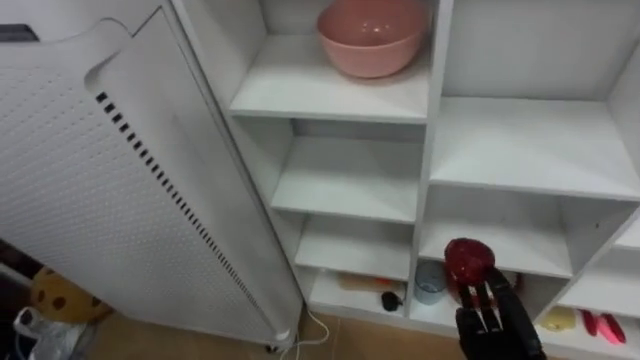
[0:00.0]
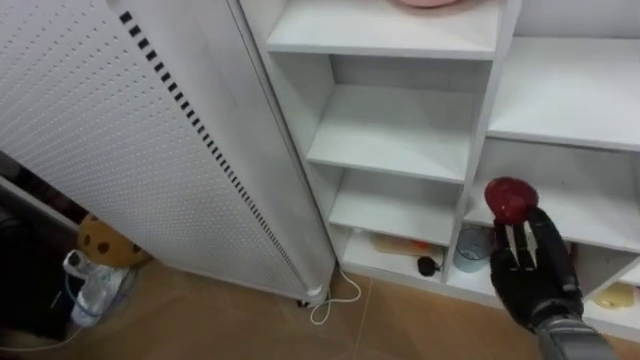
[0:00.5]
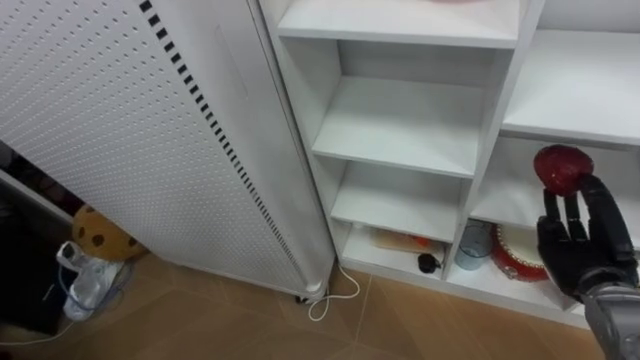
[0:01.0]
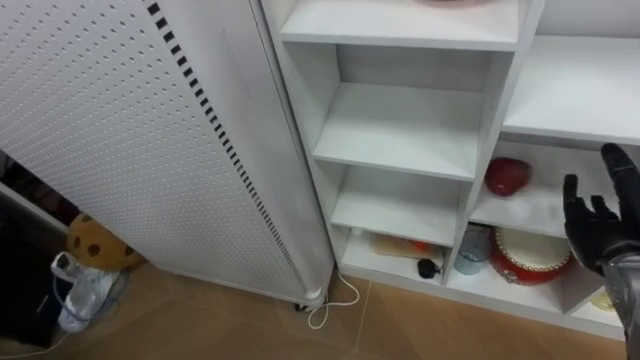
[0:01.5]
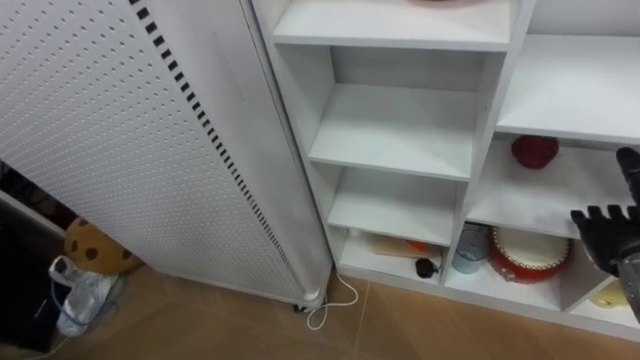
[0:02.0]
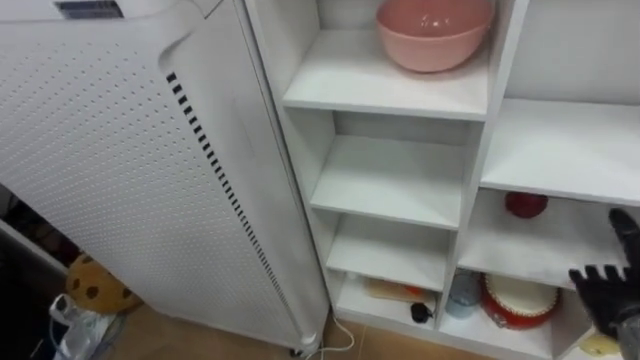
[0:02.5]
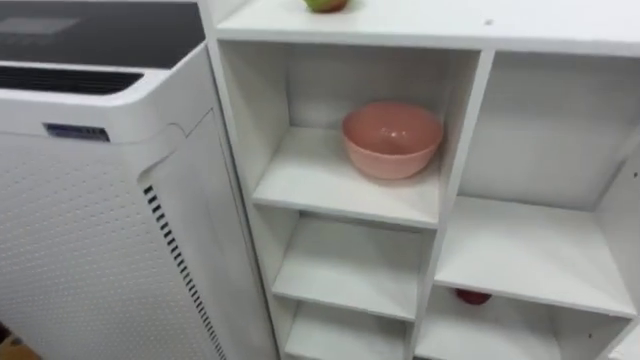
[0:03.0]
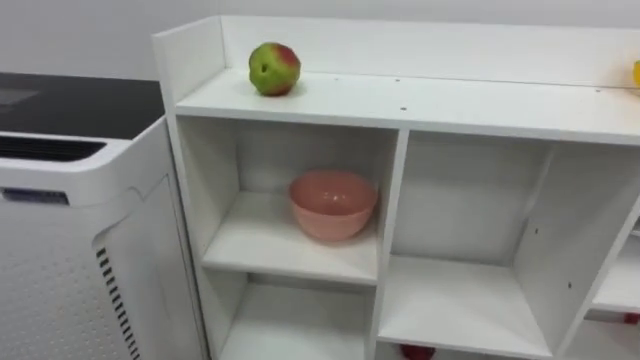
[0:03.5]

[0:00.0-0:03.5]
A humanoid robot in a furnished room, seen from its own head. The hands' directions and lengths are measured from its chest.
Task of the whole recording: Put the apple in the cell in the second column from the left and the second row from the top.
0:00.0 to 0:02.0: The right hand moves upward and to the right, roughly 20 cm, and opens its fingers.

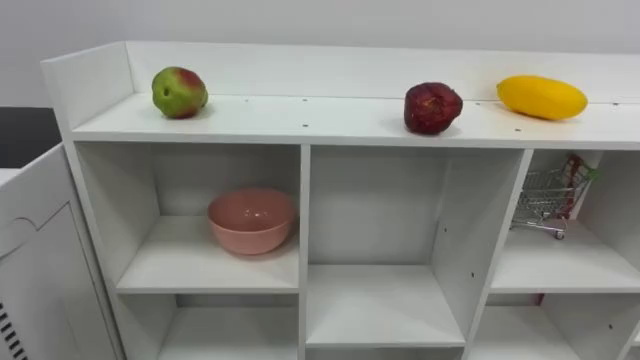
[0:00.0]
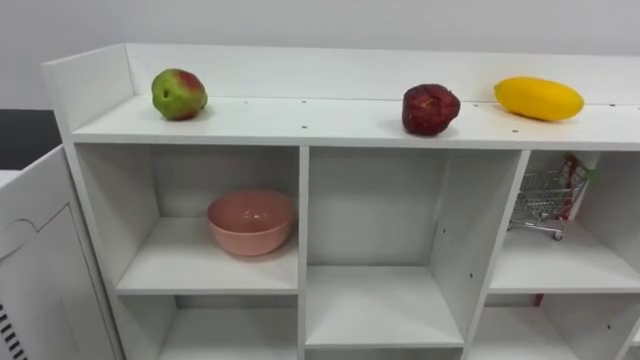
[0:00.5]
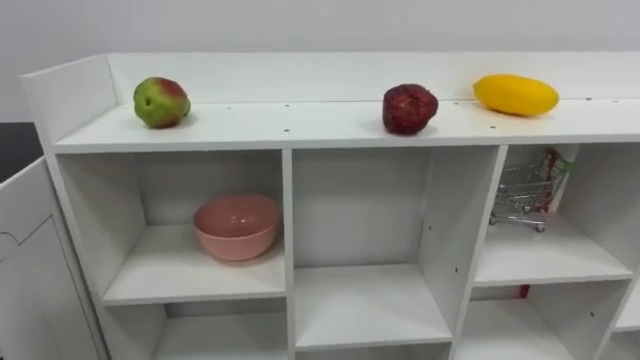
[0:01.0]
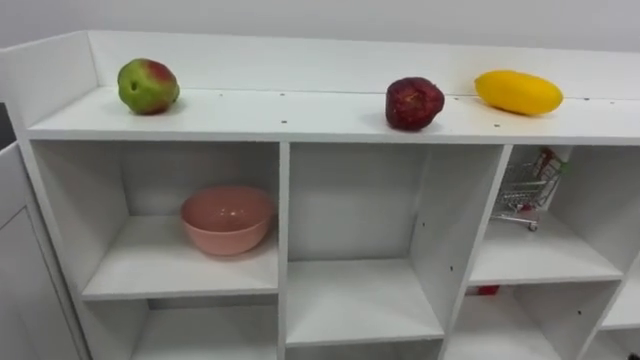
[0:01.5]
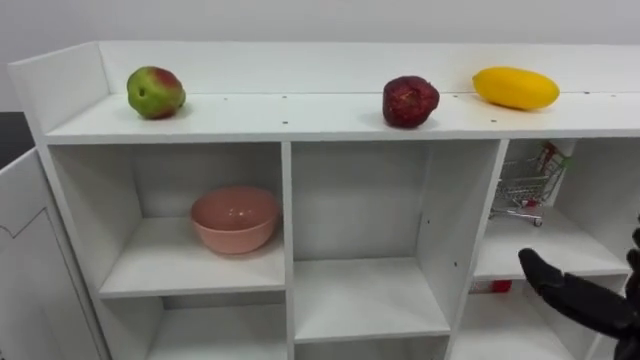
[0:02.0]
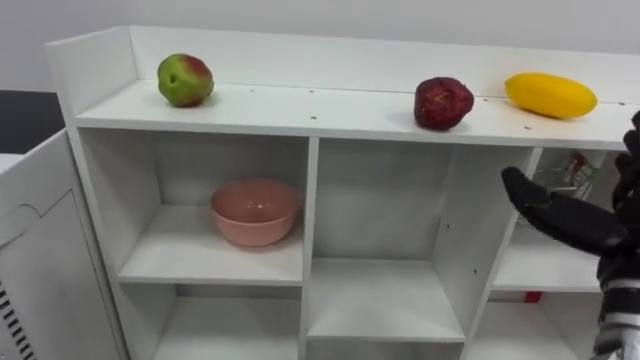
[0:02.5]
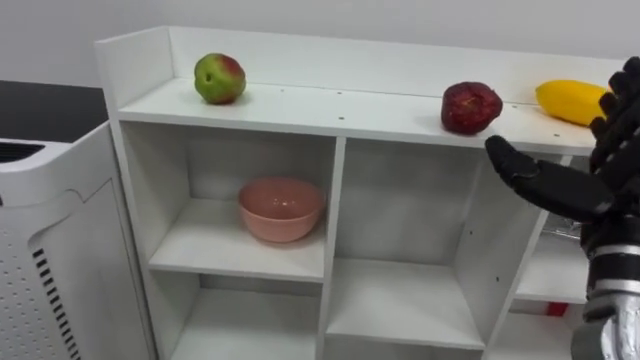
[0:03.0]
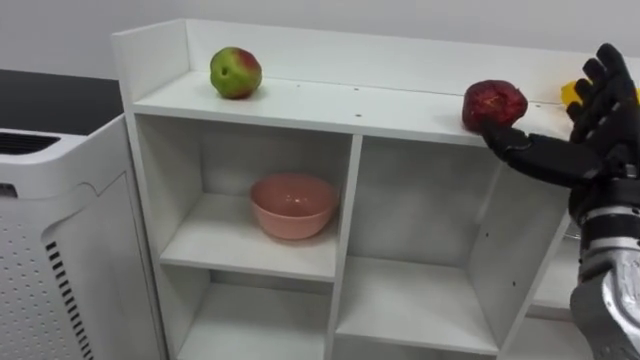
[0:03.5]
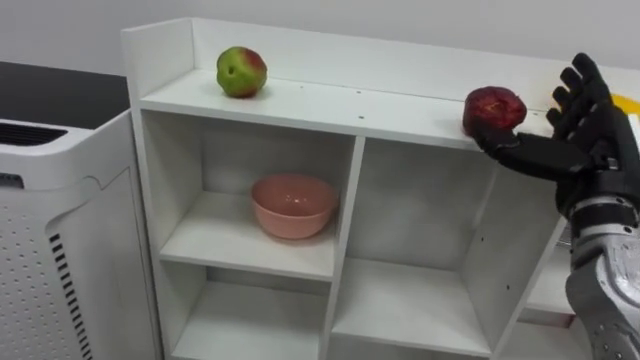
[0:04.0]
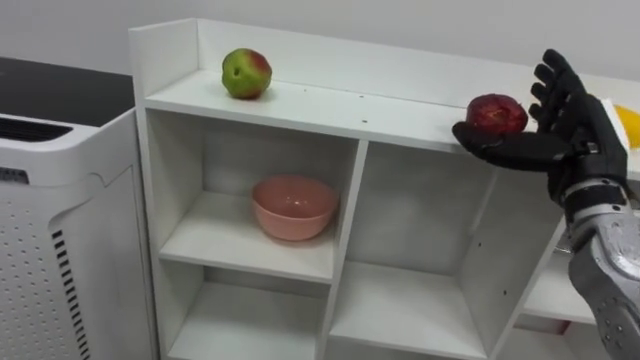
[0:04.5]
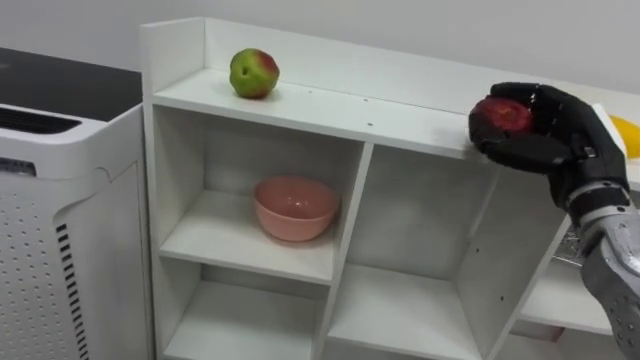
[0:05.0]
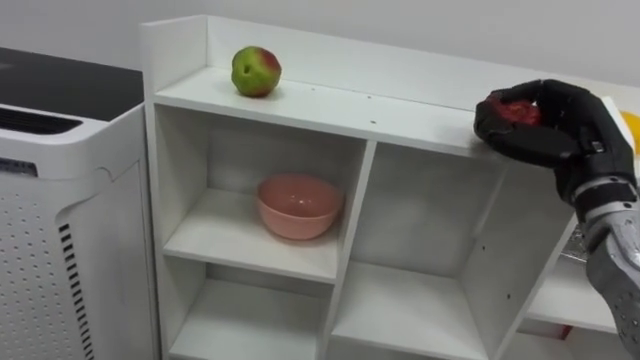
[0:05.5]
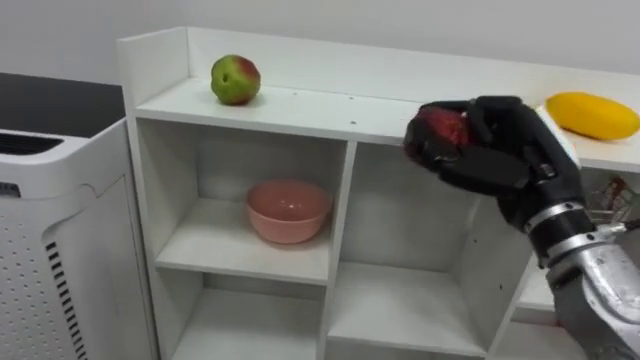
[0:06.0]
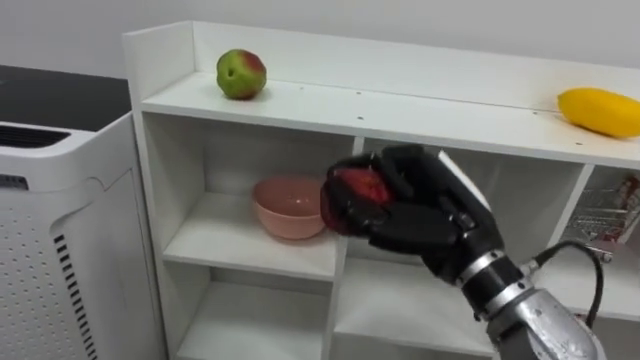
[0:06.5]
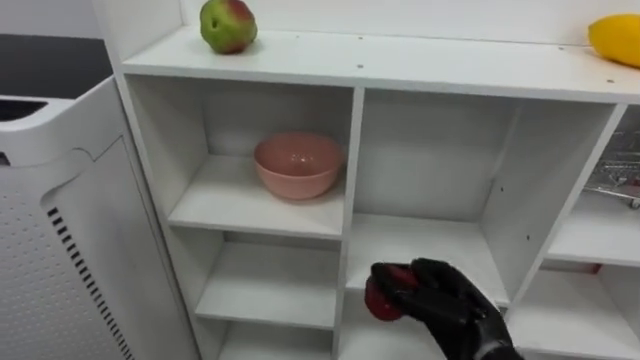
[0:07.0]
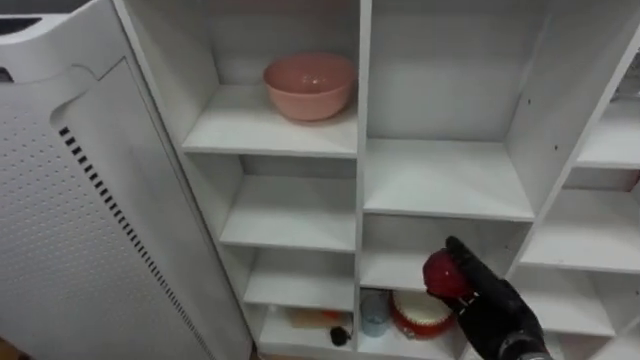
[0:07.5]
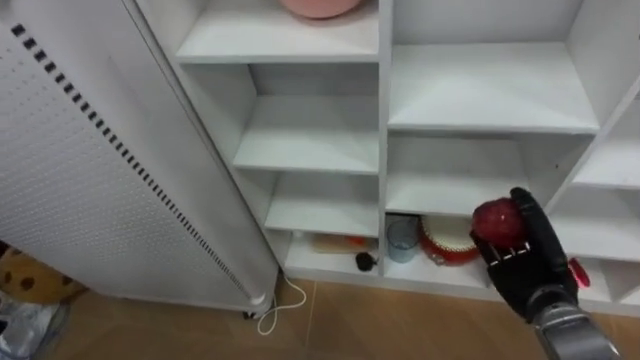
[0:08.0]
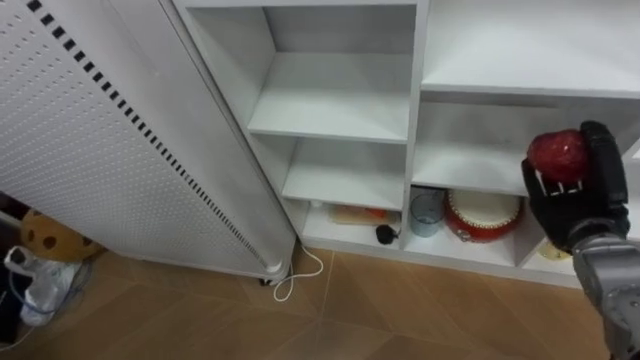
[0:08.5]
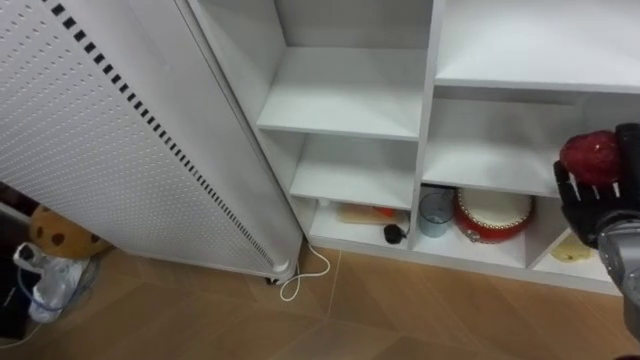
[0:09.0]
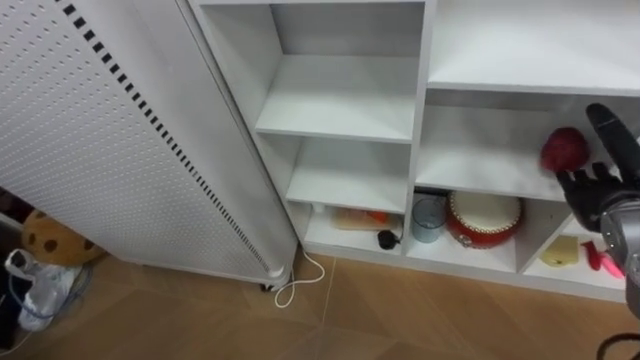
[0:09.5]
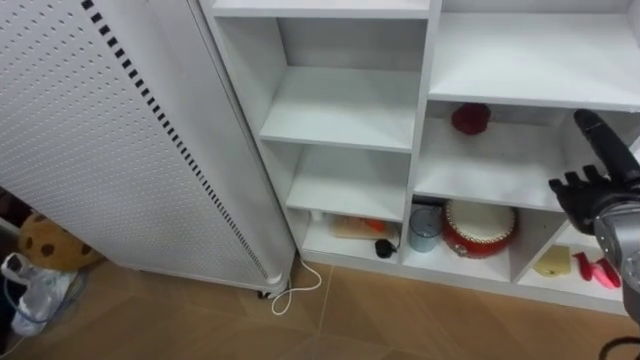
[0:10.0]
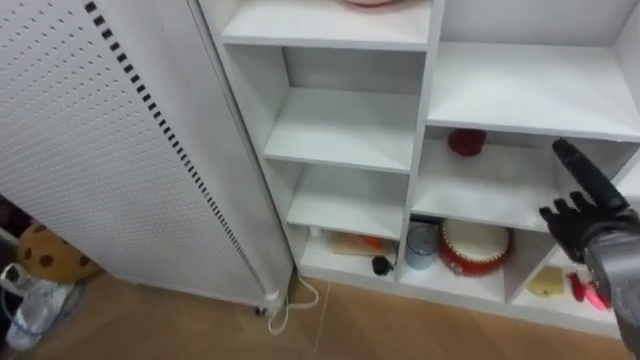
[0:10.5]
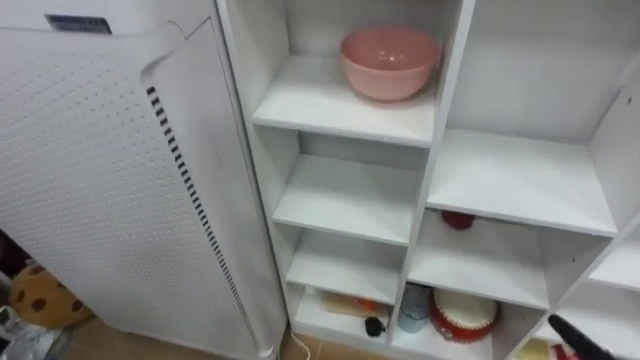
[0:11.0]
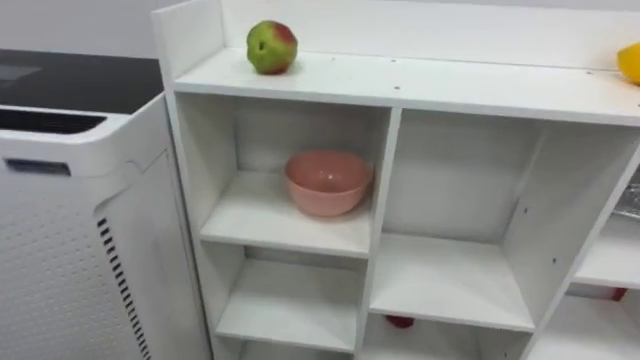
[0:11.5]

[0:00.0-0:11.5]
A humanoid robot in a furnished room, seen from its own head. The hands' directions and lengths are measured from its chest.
Task of the whole recording: Put the apple in the cell in the second column from the left and the second row from the top.
0:04.0 to 0:06.0: The right hand goes about 5 cm to the left, and closes its fingers.
0:06.0 to 0:07.5: The right hand goes some 25 cm downward.
0:07.5 to 0:09.5: The right hand is displaced upward and to the right by about 20 cm, and opens its fingers.

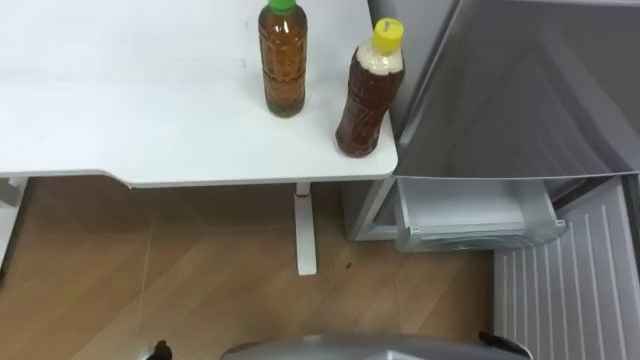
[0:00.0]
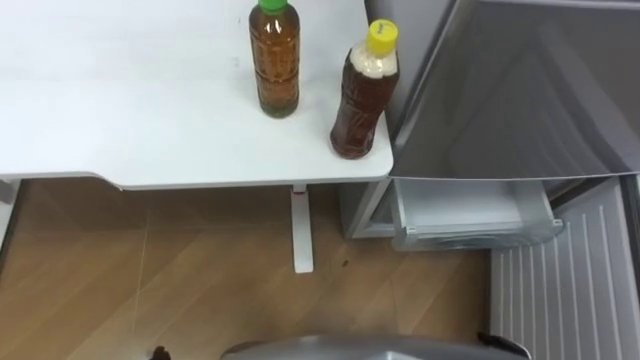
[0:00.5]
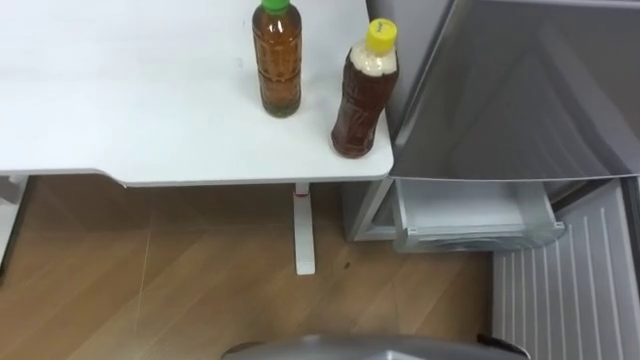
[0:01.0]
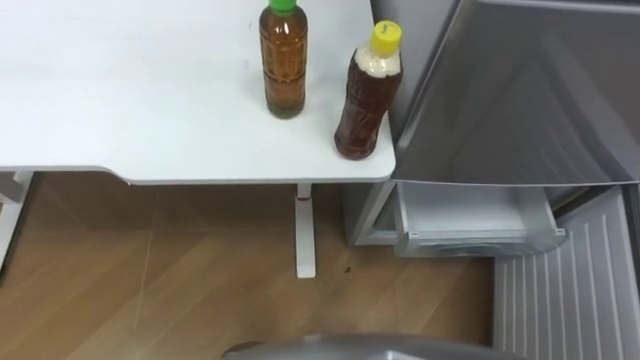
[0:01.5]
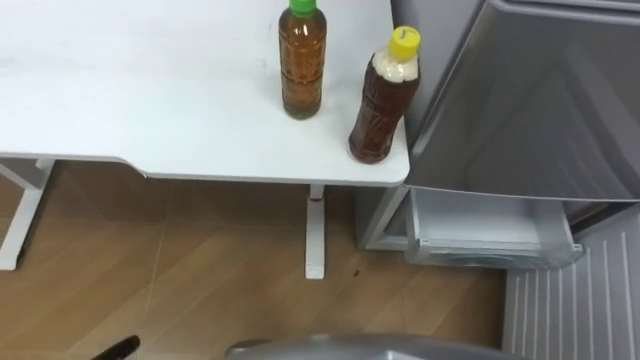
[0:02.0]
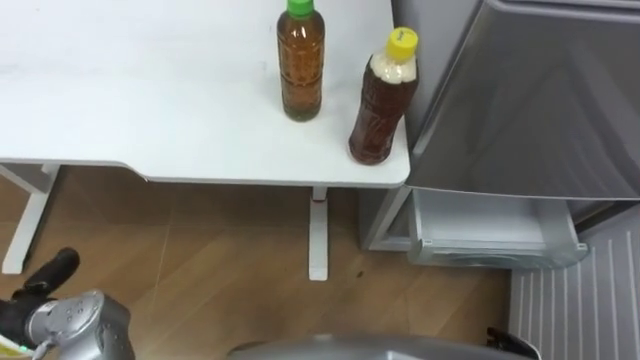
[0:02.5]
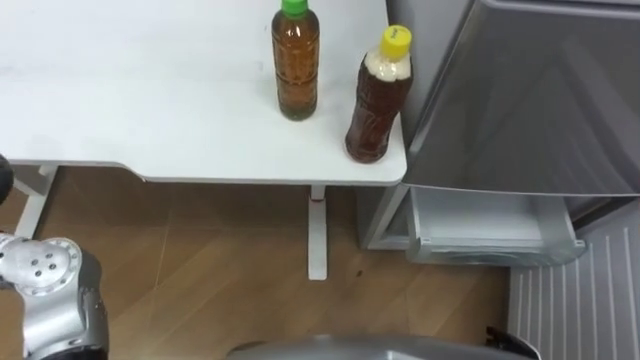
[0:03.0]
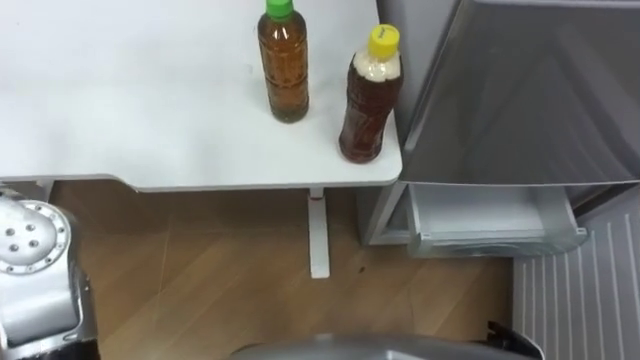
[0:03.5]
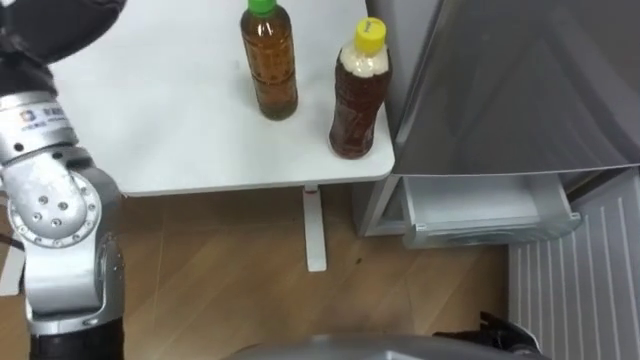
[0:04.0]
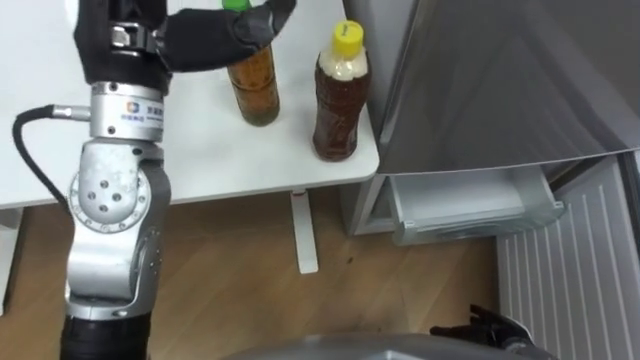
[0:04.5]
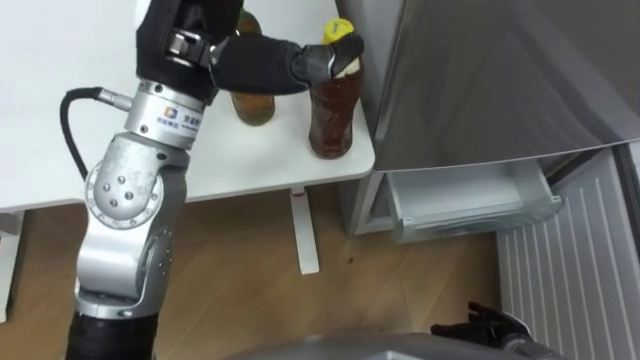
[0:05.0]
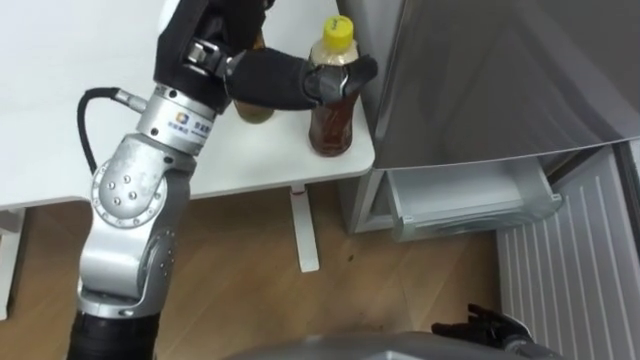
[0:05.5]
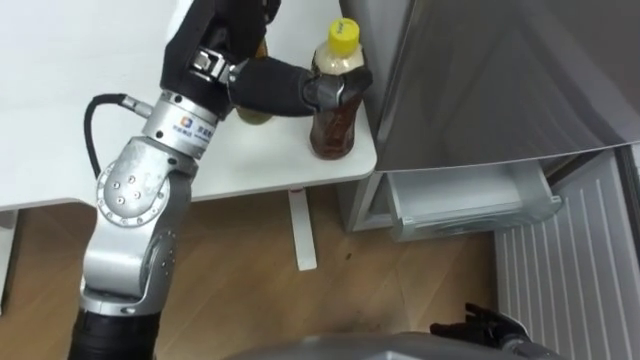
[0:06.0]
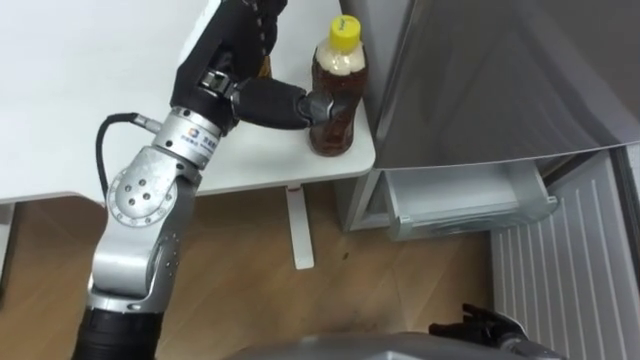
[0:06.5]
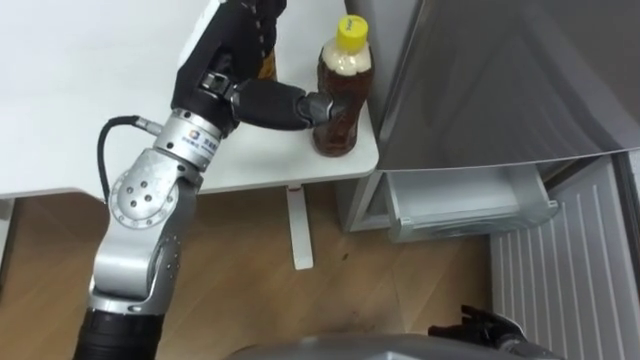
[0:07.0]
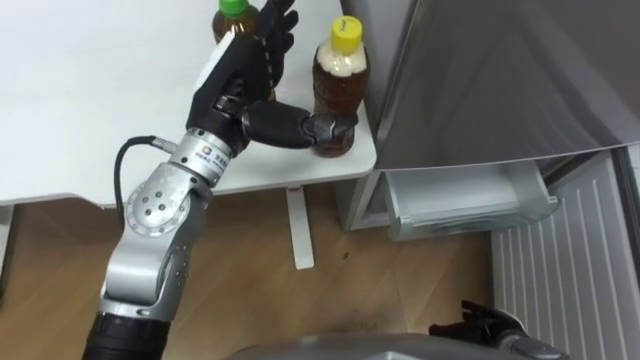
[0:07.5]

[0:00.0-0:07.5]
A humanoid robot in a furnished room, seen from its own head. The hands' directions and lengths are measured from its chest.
Task of the whole recording: Place the drink on the table on the bottom shelf of the refrigerator, then close the drawer and the refrigerator door.
0:05.5 to 0:07.5: The left hand heads downward, covering roughly 10 cm.
